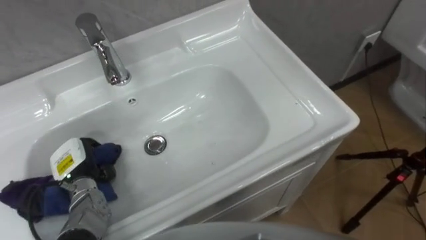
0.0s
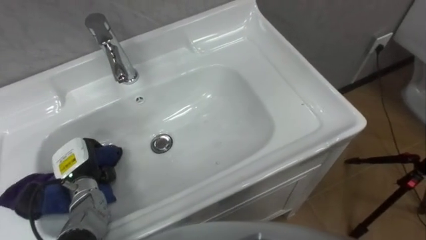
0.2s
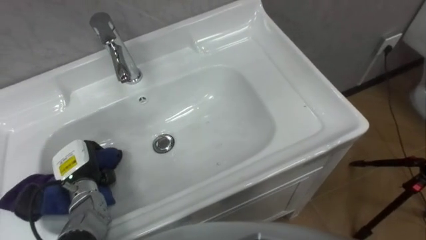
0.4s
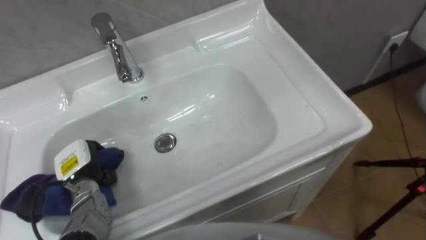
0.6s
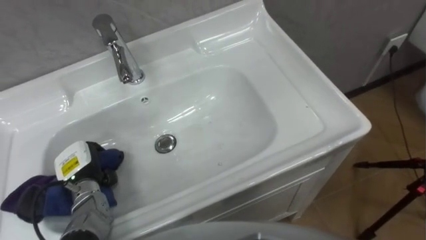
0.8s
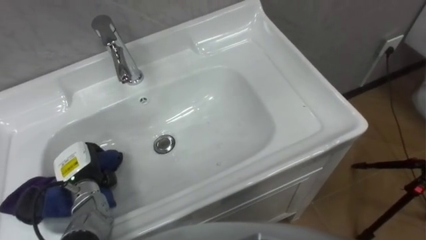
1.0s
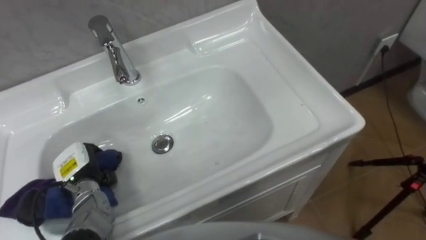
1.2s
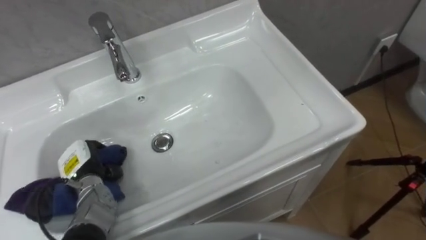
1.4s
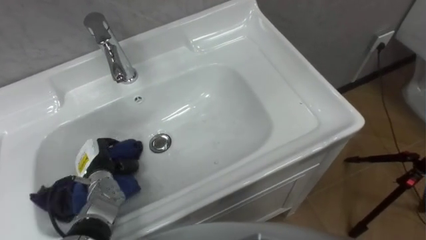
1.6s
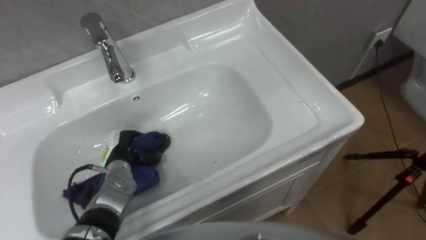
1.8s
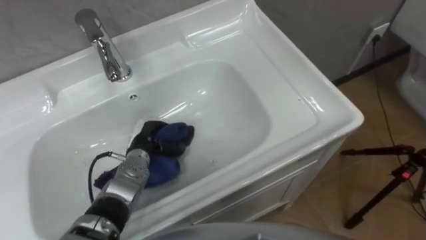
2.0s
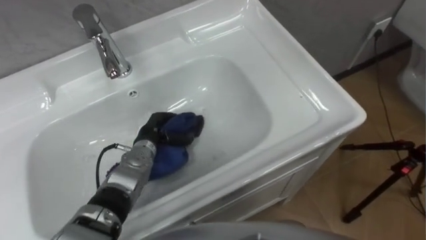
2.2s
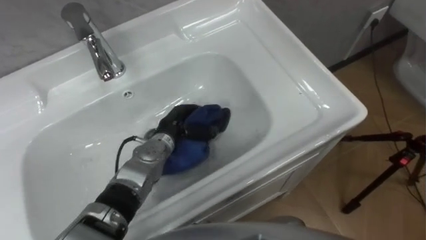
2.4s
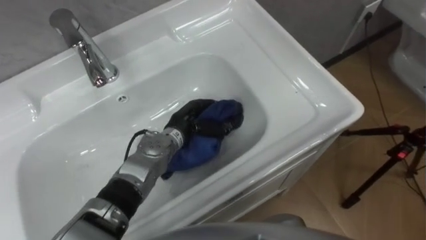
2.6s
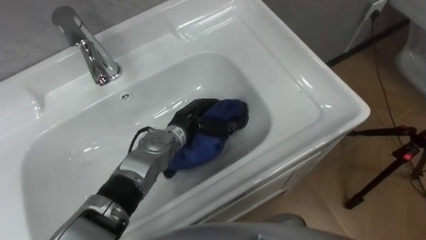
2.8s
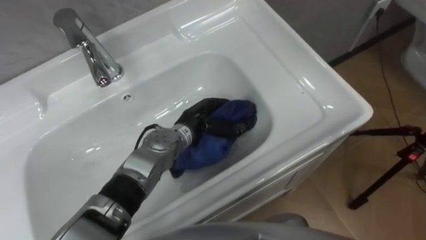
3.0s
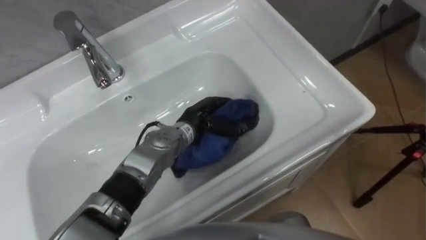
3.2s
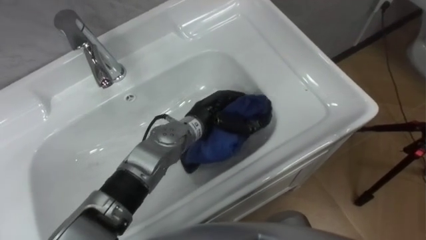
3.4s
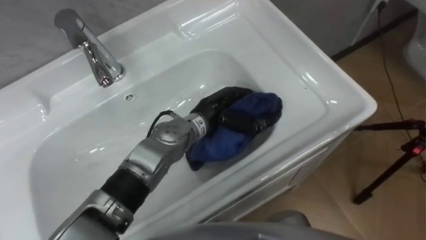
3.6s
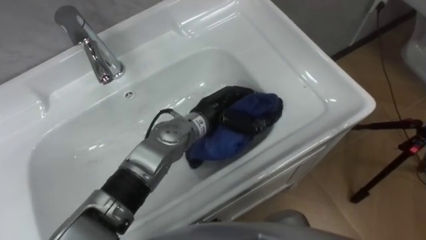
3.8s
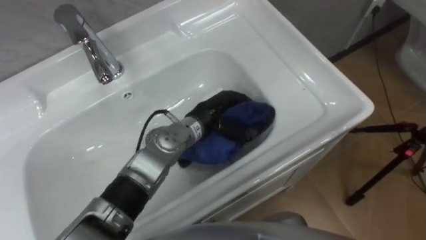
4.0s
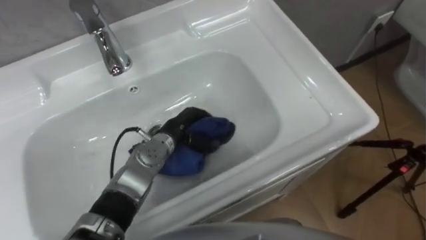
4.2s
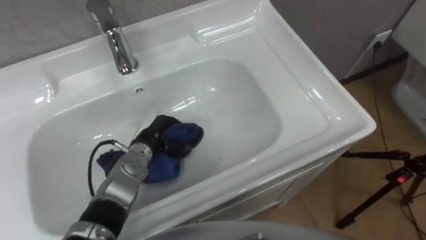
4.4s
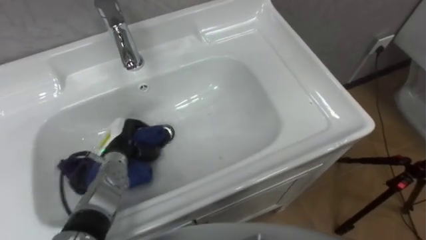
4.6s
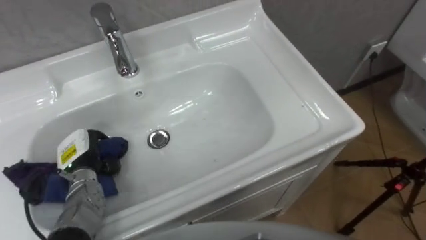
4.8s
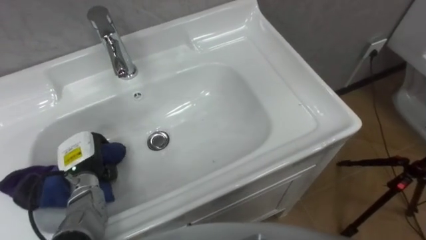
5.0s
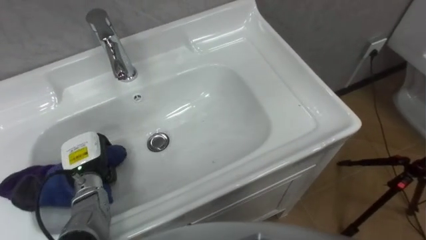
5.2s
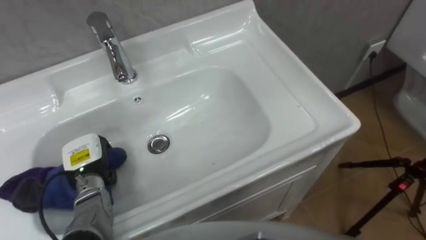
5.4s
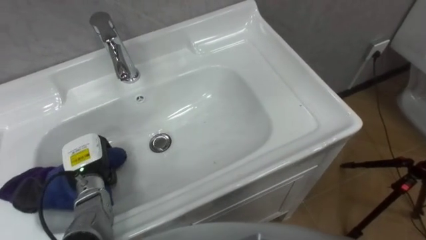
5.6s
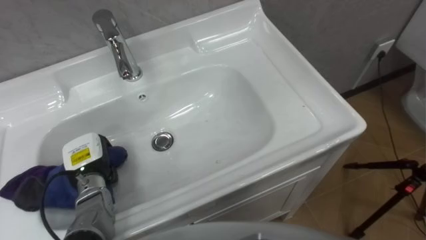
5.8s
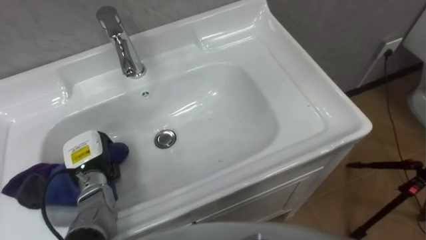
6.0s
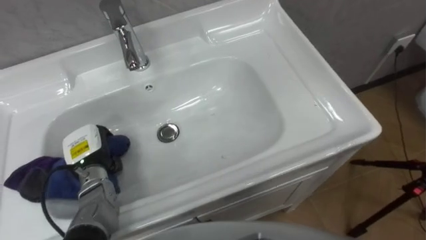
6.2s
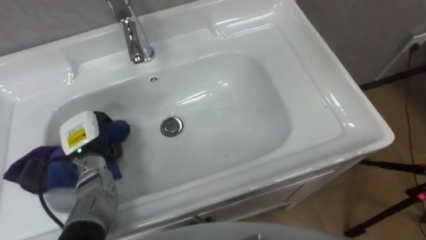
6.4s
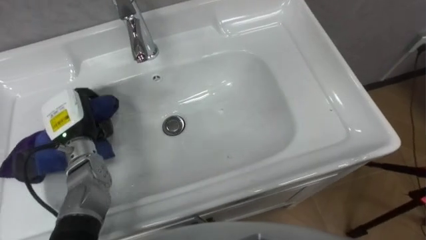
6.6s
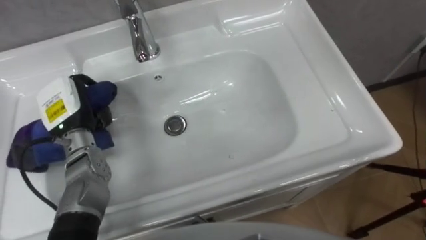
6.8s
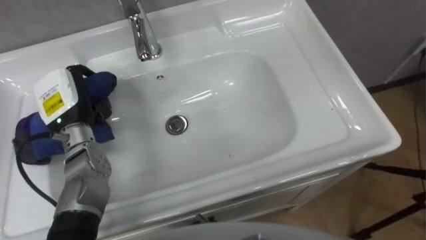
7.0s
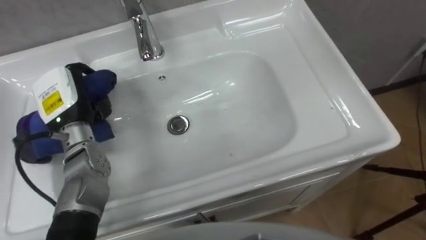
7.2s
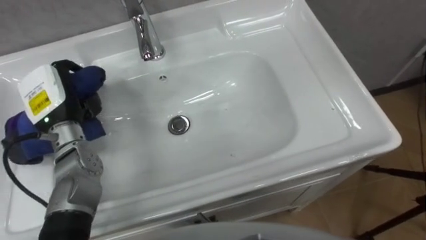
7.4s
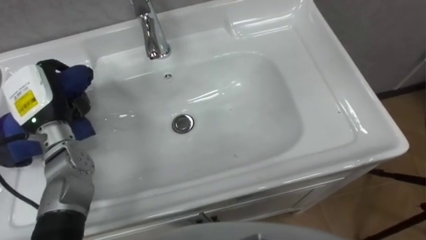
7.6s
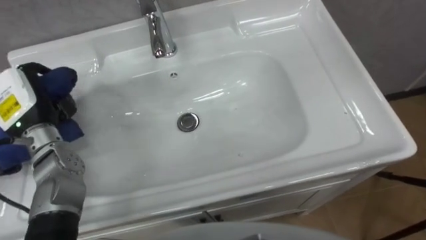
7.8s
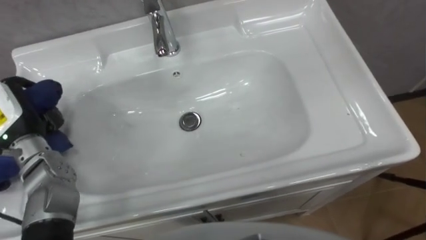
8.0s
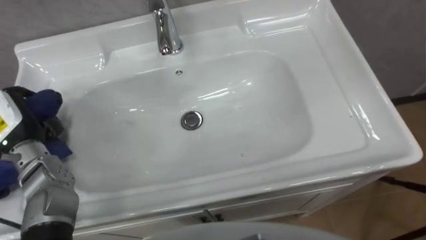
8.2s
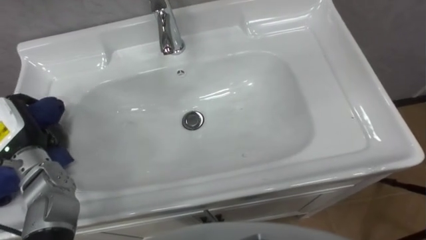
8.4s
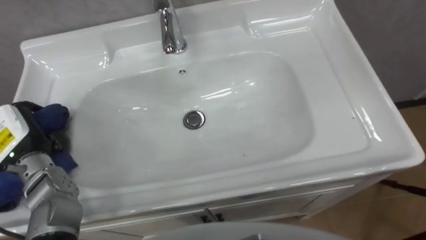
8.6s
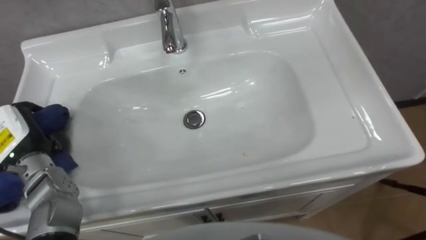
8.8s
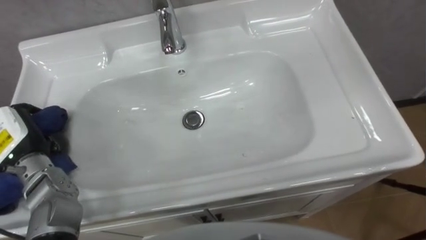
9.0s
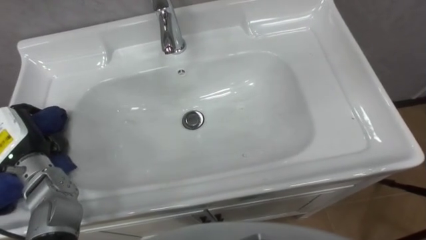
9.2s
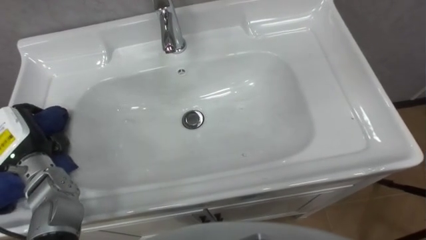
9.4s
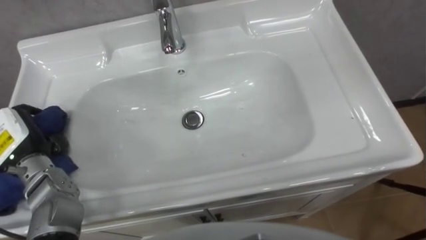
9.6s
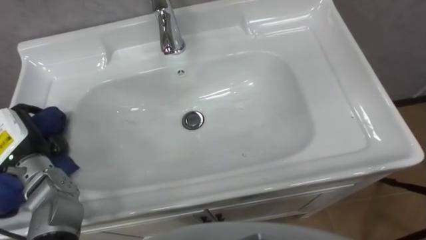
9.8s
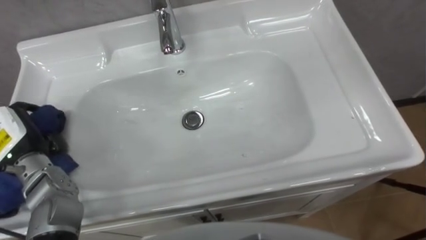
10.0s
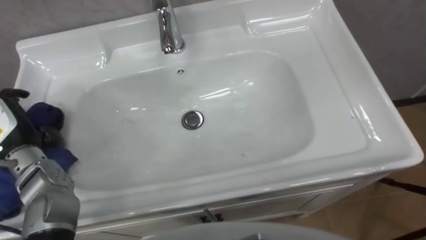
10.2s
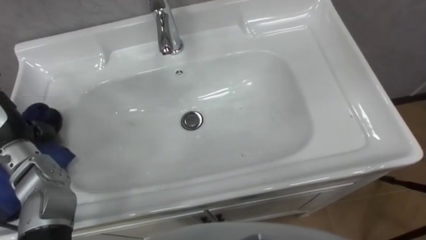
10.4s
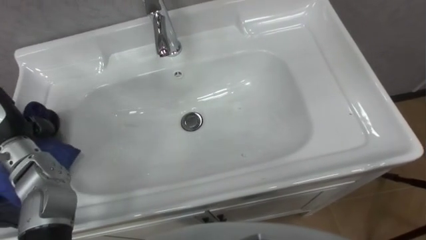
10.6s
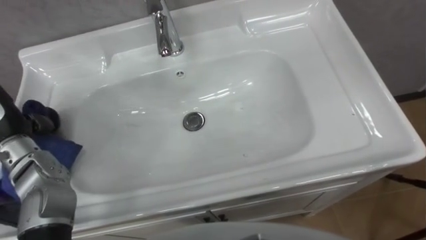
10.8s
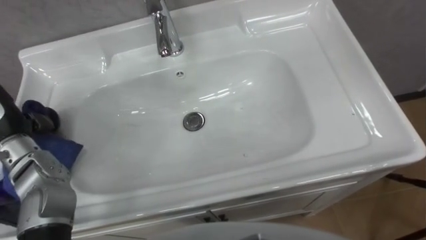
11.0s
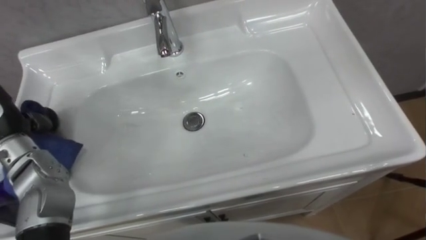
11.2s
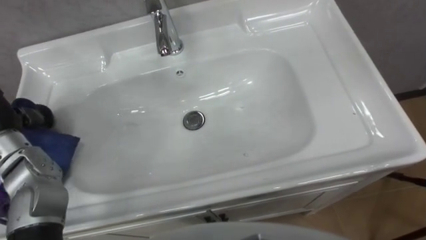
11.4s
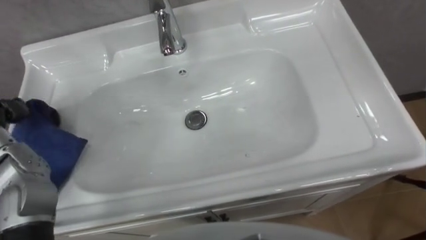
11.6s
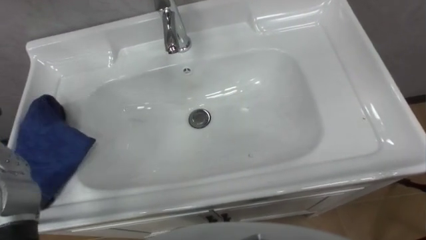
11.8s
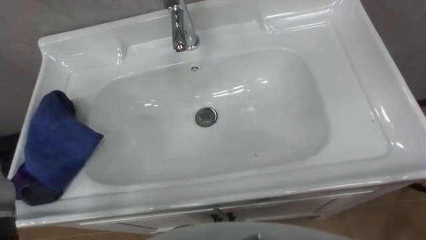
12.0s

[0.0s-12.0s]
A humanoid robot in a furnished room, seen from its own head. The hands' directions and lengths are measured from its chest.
Task of the whole recording: Use the cloth on the right to wipe away the black stain in the sink.
1.6s to 3.0s: The left hand travels to the right by about 25 cm.
3.0s to 4.4s: The left hand shifts approximately 10 cm to the left.
4.4s to 6.0s: The left hand moves to the left and backward, about 15 cm.
6.0s to 7.6s: The left hand is displaced upward and forward by approximately 15 cm.
7.6s to 9.0s: The left hand moves backward, some 5 cm.

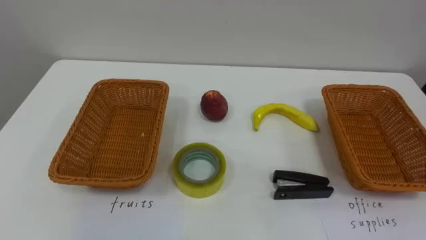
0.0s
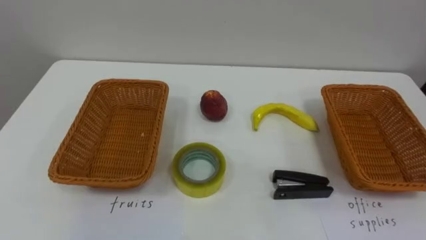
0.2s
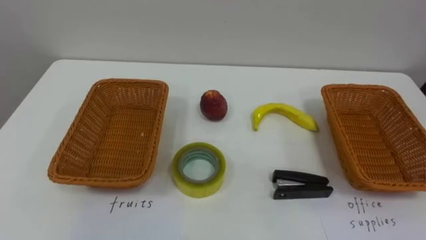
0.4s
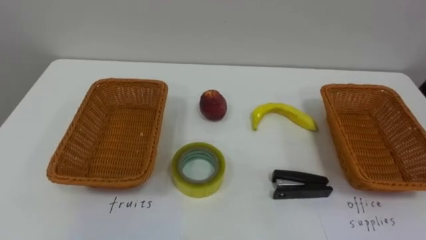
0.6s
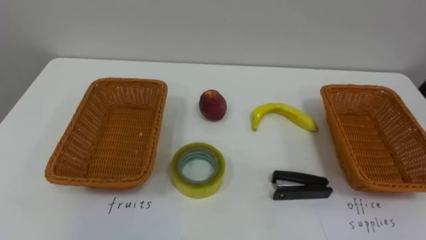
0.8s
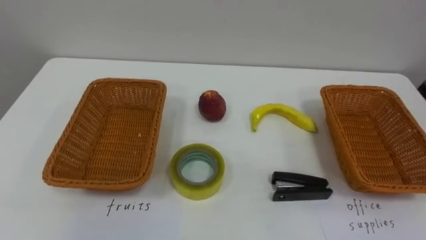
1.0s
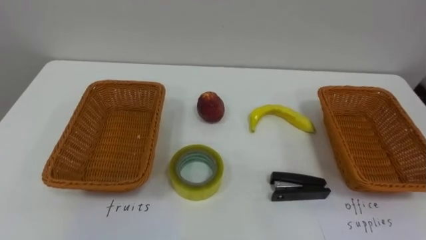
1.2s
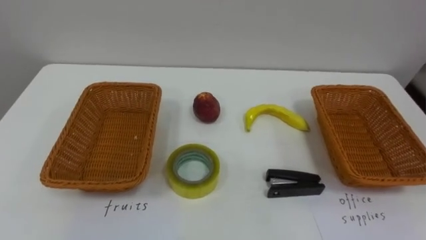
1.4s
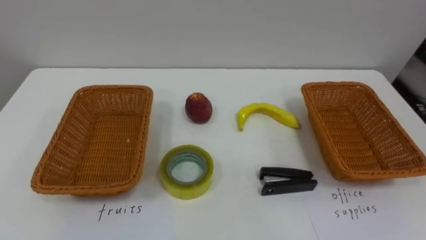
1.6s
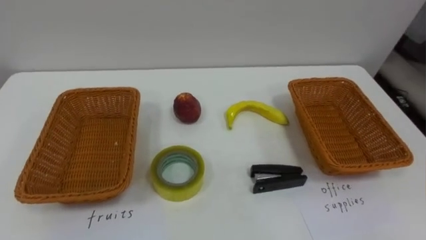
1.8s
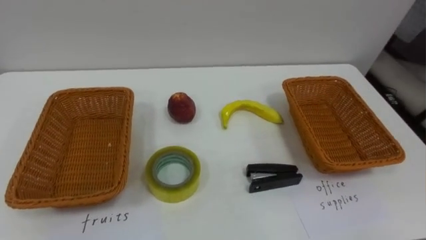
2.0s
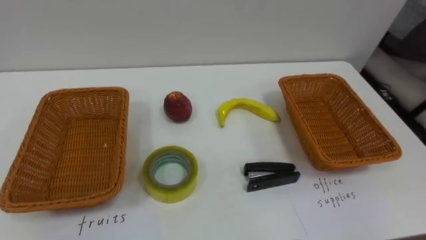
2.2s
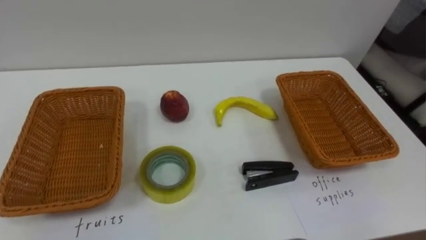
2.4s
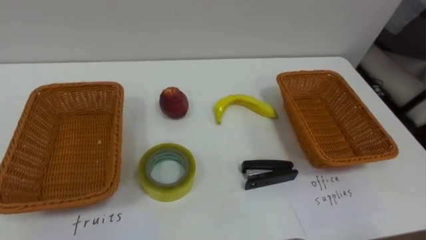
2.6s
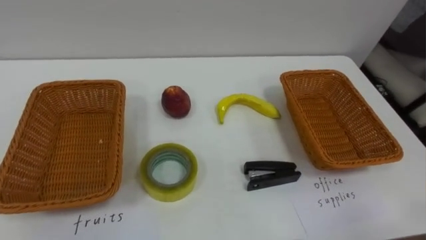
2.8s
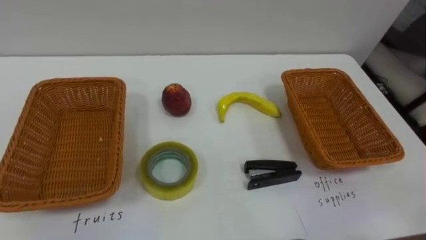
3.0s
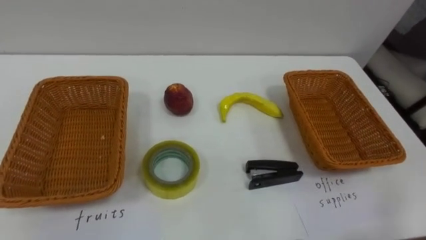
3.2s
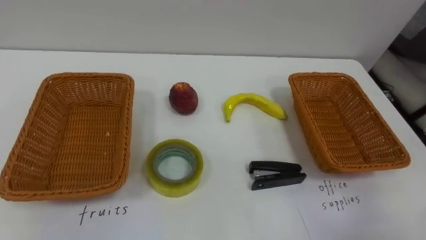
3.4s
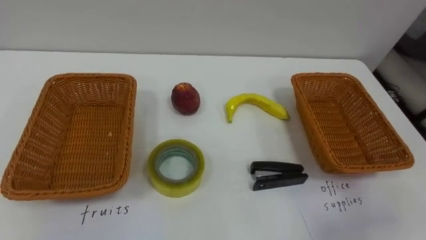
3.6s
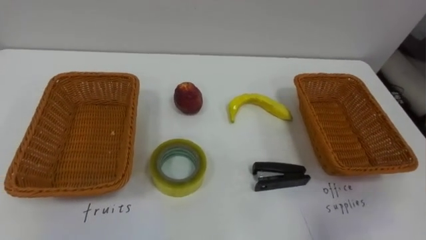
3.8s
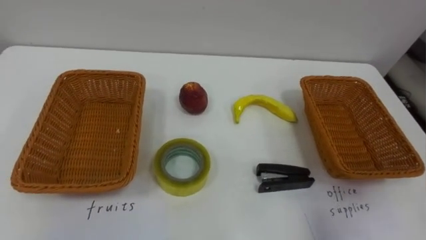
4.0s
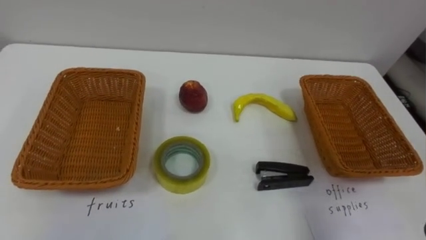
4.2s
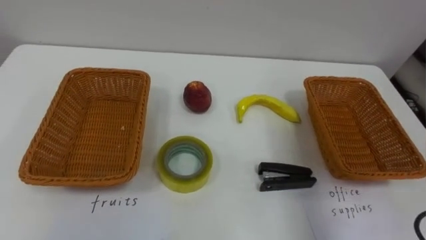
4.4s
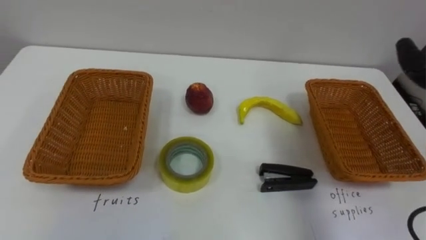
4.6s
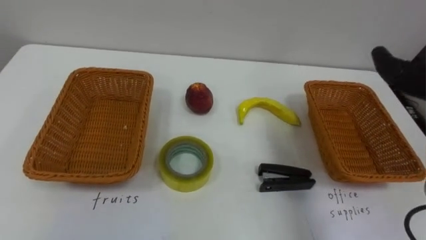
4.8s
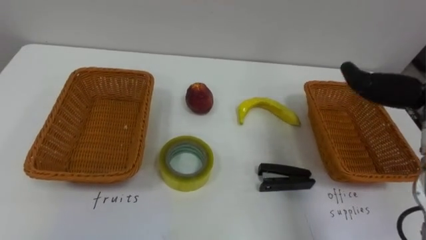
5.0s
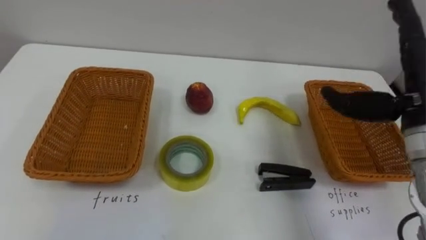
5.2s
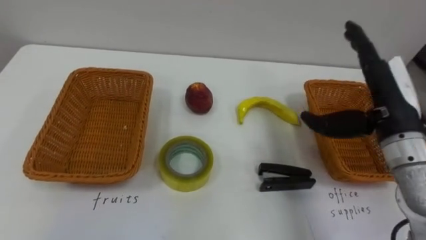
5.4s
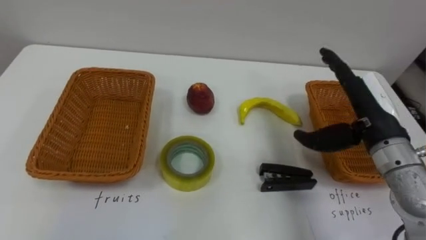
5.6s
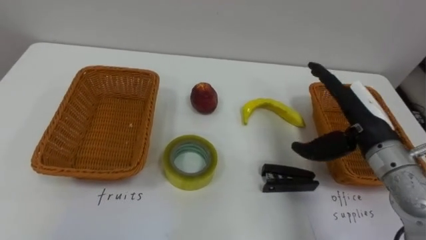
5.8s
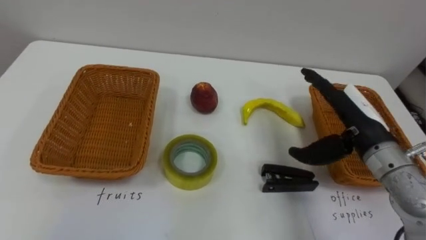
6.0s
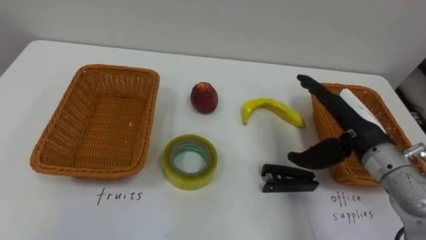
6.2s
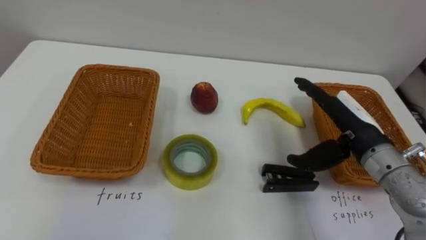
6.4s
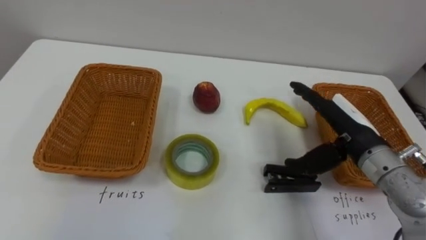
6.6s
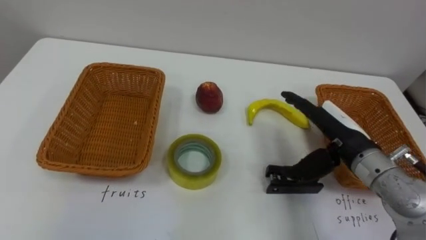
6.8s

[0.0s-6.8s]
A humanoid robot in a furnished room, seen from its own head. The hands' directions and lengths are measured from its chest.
Task of the whole recording: Separate the items on the table and place them into the two baskets.
5.4s to 6.8s: The right hand travels downward by roughly 10 cm.
